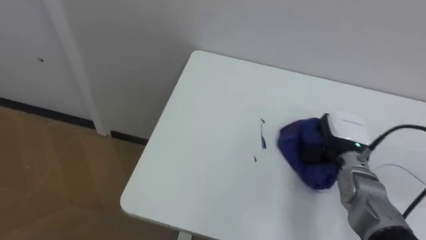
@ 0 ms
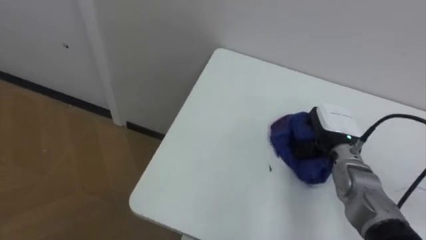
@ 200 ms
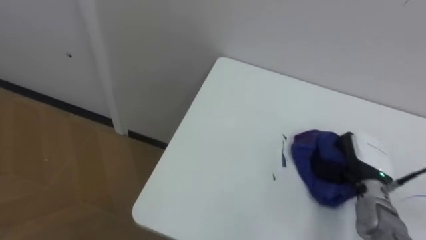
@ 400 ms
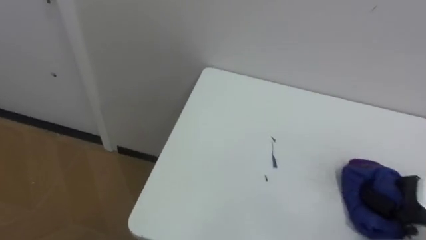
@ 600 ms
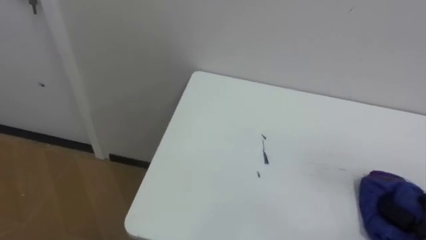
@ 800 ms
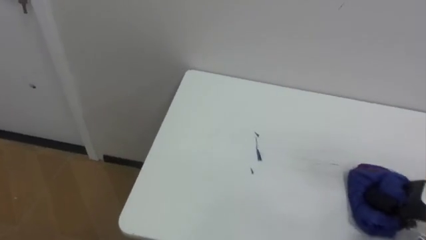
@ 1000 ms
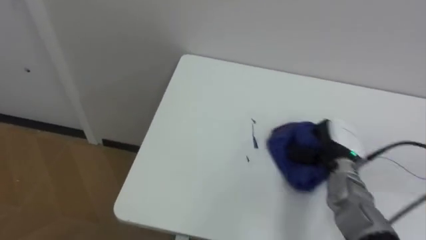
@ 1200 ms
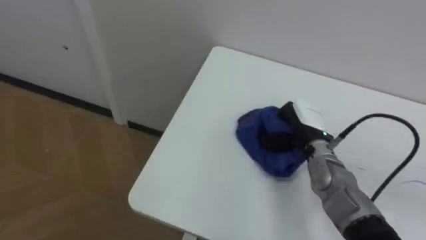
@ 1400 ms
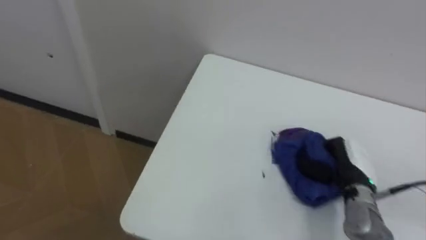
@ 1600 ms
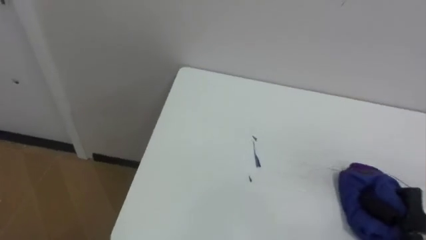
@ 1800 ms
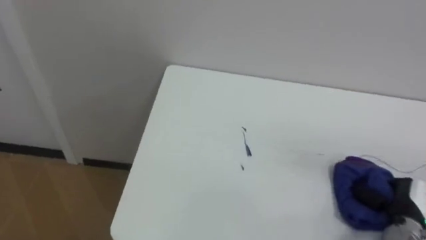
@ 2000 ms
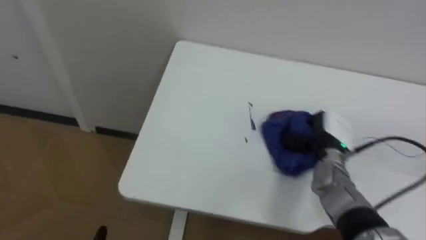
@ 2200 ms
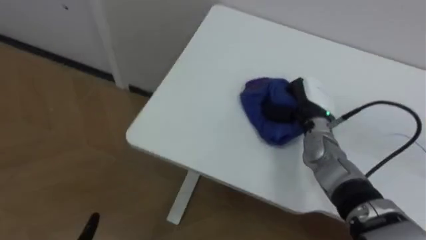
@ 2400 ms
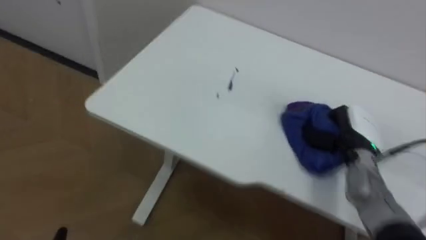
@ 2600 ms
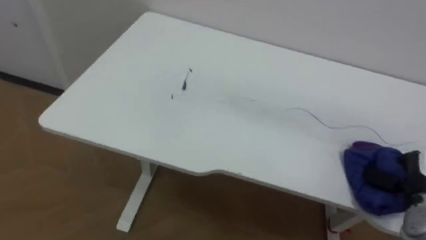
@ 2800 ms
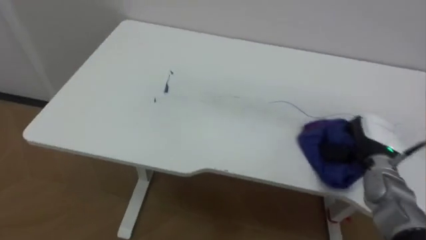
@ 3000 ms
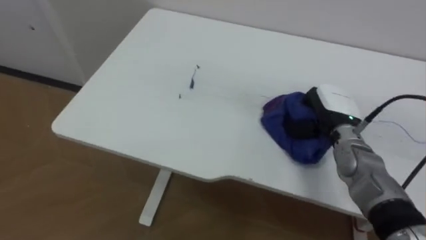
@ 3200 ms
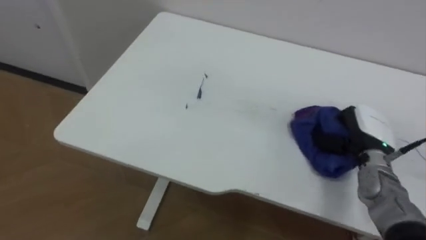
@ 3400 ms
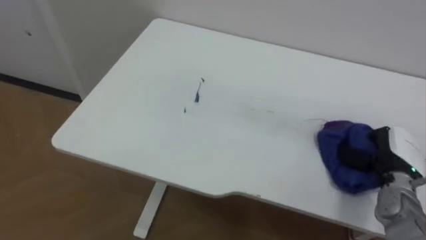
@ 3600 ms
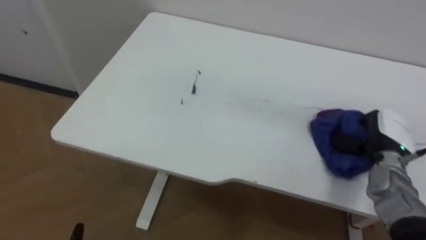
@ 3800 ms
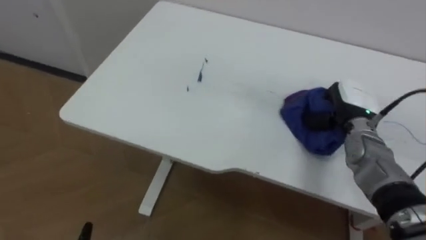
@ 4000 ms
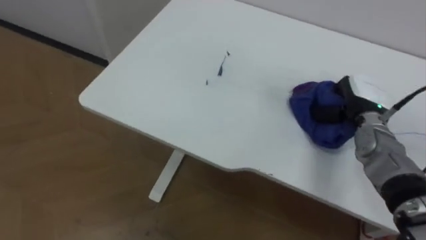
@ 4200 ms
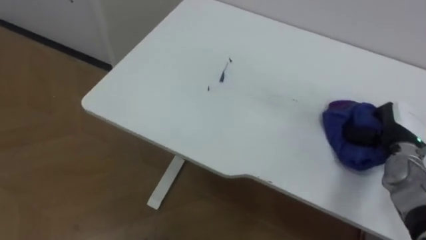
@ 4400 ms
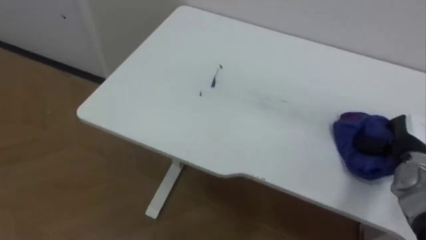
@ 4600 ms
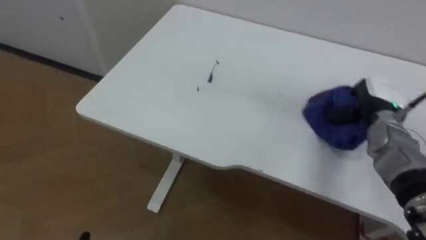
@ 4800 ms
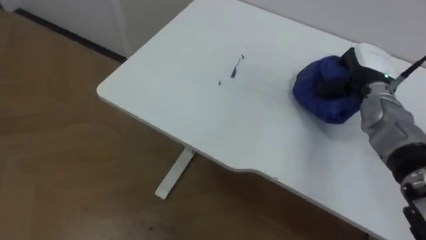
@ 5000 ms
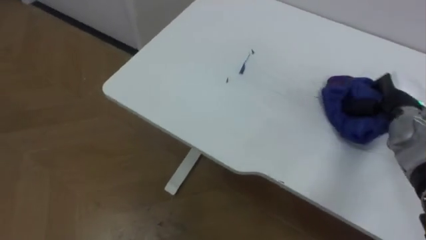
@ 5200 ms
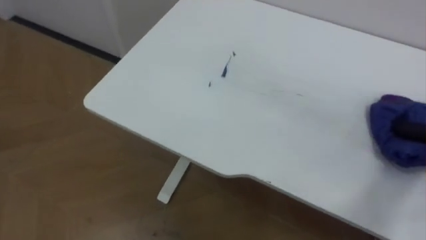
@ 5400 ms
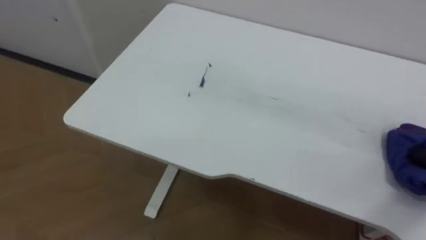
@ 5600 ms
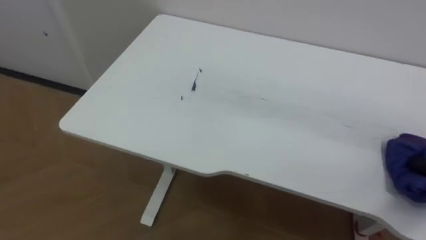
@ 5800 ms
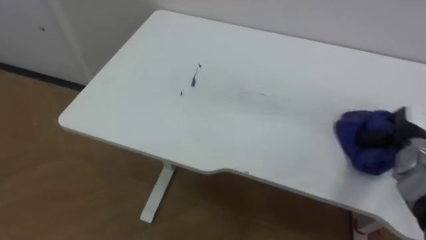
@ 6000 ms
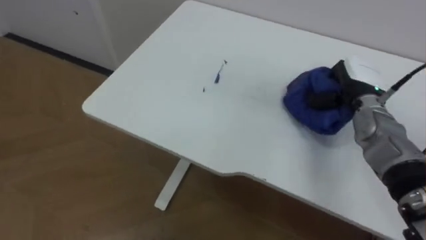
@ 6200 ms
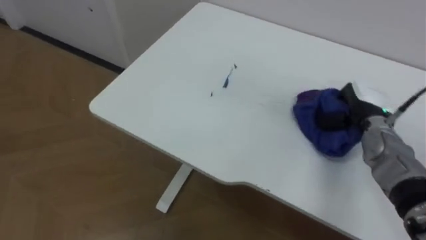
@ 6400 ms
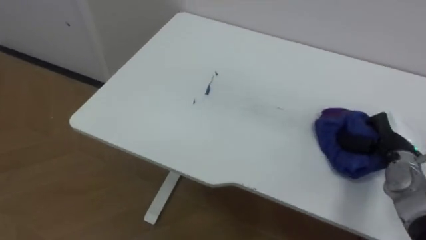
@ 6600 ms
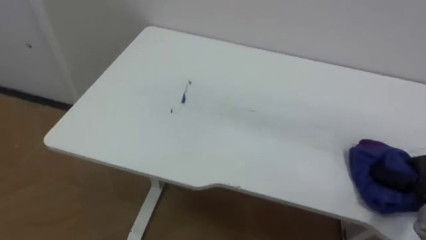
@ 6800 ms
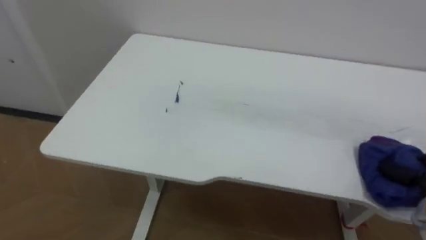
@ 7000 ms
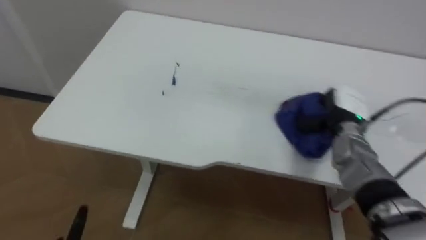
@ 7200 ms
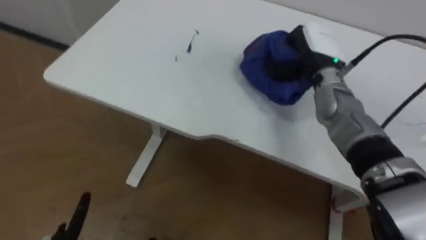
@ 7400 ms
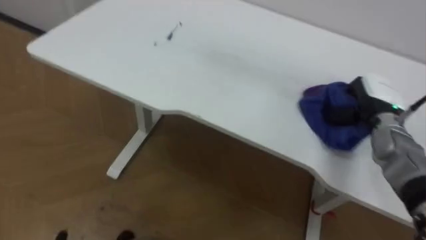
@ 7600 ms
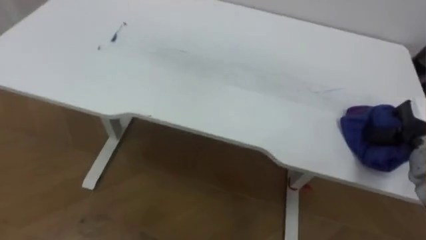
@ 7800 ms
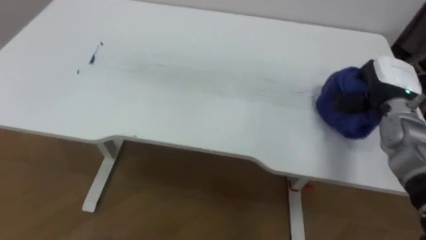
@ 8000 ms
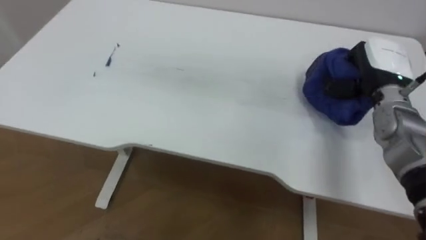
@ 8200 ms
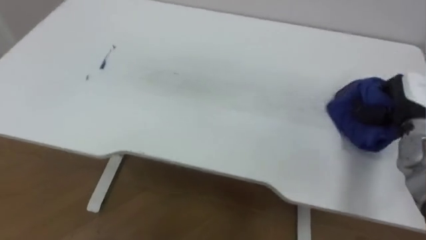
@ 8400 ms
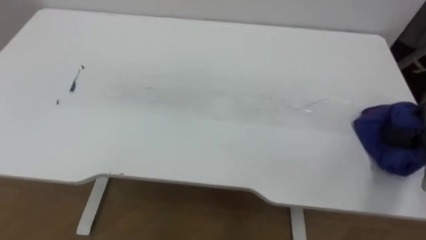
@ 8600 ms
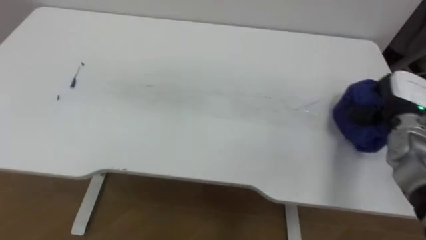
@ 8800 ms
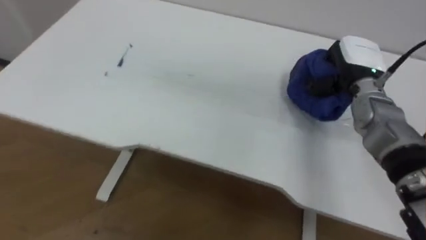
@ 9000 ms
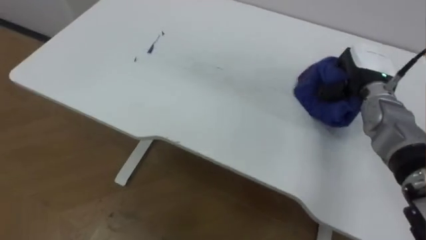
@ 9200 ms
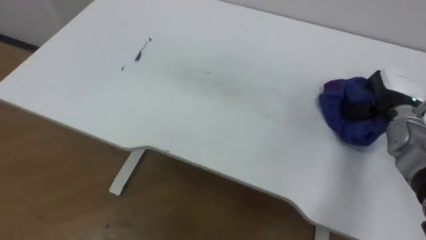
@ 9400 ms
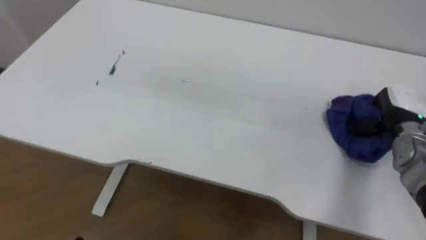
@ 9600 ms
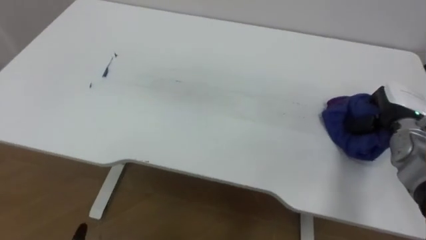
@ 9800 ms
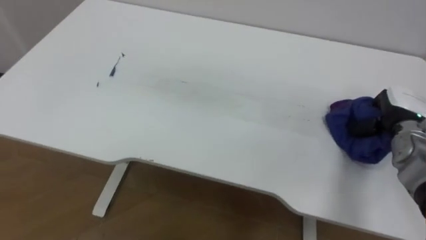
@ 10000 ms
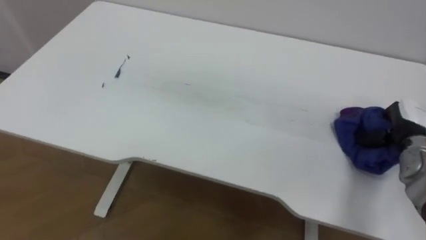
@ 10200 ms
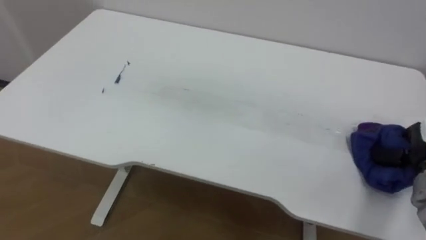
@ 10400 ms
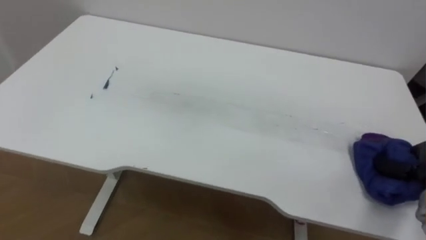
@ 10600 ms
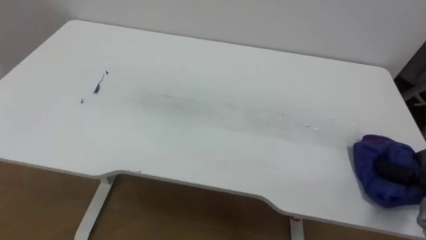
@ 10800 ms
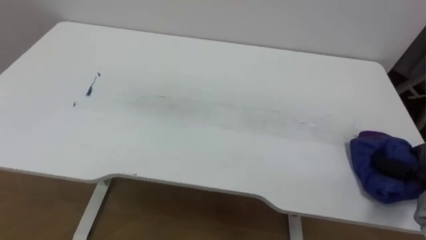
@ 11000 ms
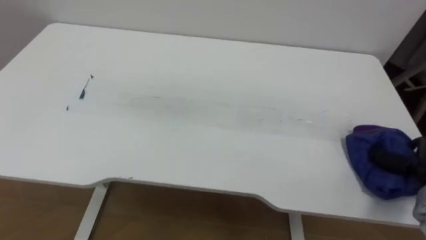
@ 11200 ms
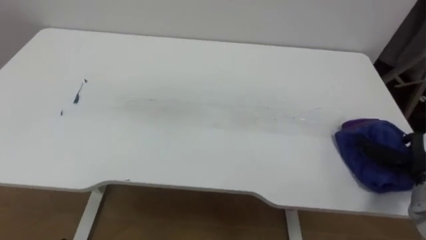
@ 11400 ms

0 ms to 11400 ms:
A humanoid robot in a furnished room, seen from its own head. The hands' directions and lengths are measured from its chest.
Task of the whole recording: Wipe the blue pen marks off the table with the rag.
1400 ms to 2800 ms: The right hand swings left and right, roughly 20 cm each way, with 2 reversals.
2800 ms to 4200 ms: The right hand goes left and right, roughly 15 cm each way, reversing 2 times.

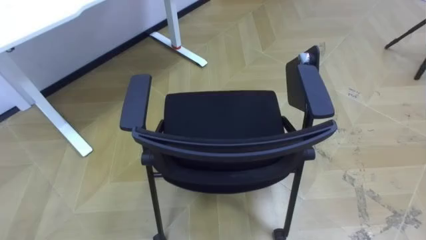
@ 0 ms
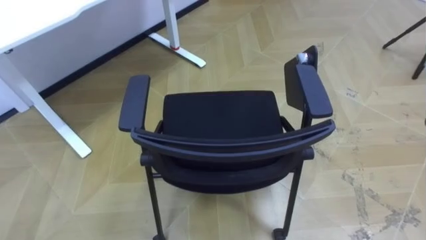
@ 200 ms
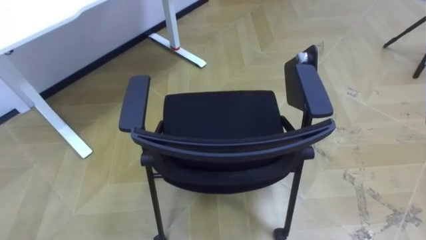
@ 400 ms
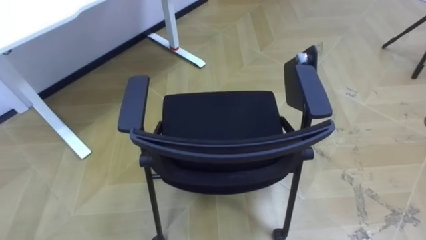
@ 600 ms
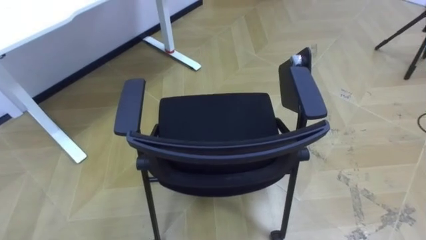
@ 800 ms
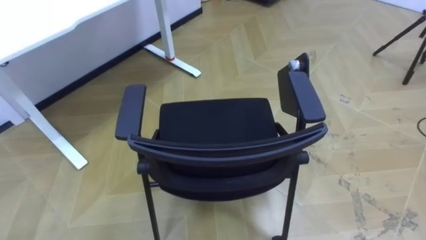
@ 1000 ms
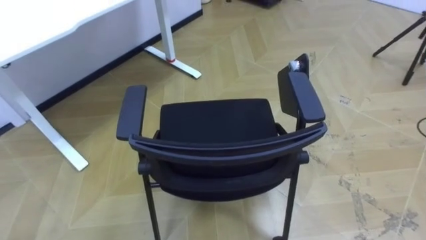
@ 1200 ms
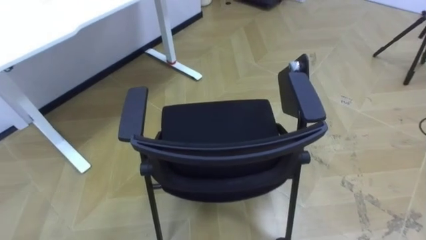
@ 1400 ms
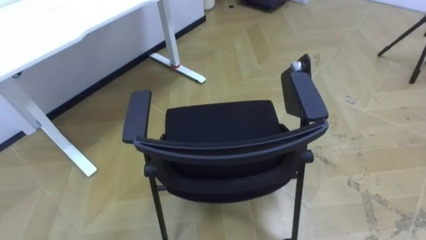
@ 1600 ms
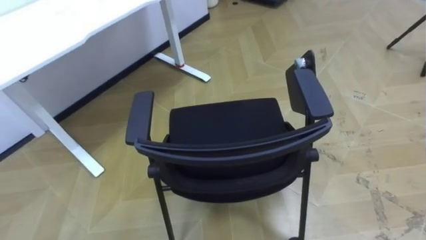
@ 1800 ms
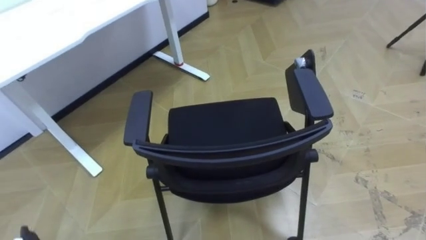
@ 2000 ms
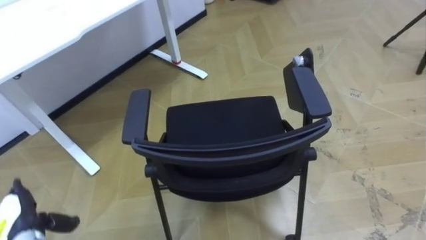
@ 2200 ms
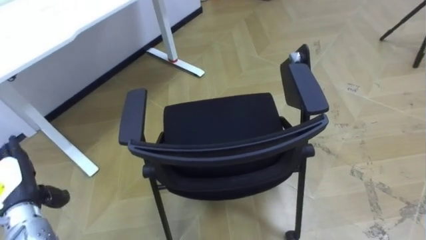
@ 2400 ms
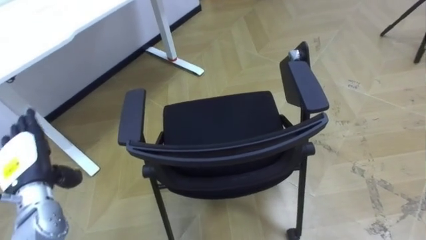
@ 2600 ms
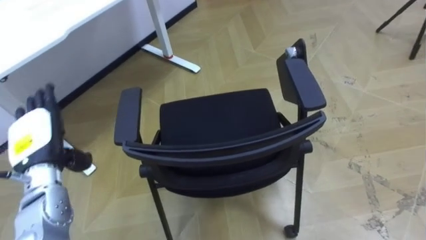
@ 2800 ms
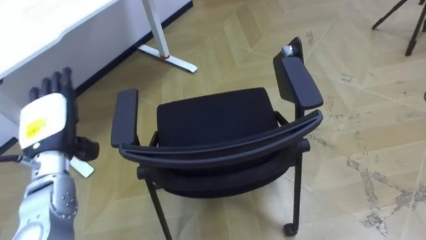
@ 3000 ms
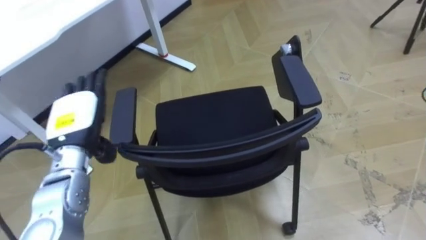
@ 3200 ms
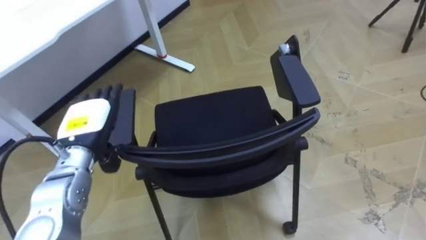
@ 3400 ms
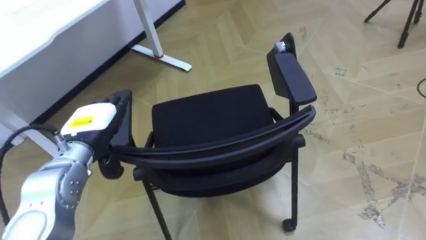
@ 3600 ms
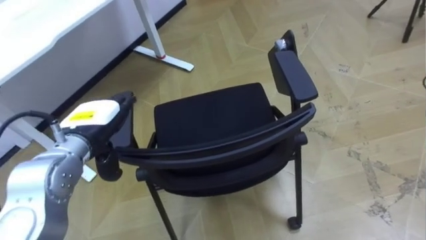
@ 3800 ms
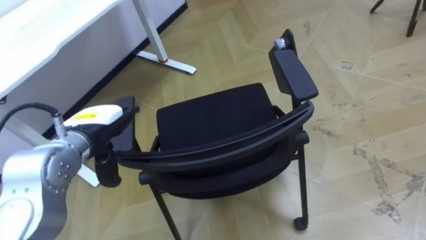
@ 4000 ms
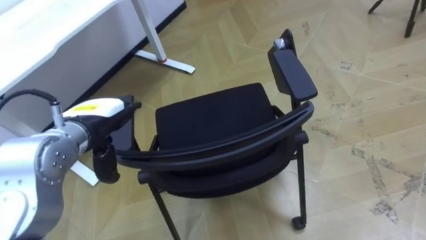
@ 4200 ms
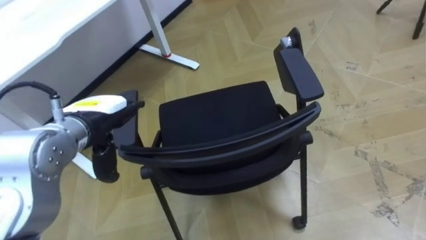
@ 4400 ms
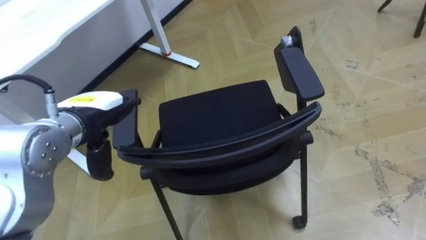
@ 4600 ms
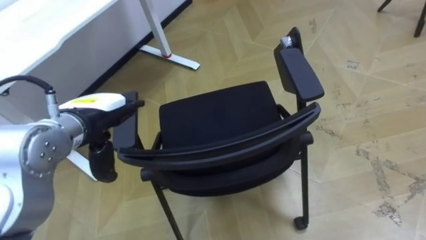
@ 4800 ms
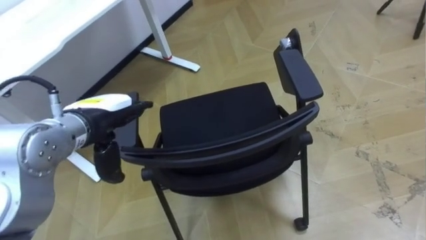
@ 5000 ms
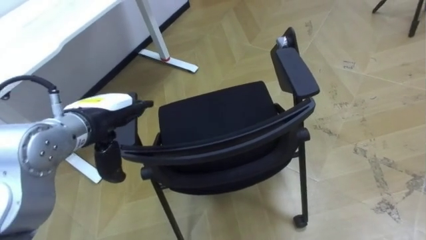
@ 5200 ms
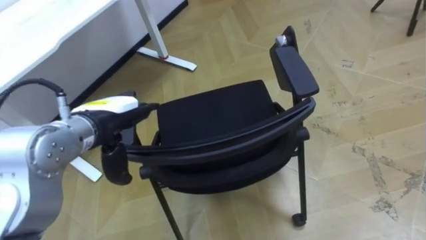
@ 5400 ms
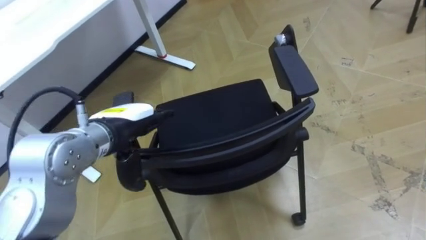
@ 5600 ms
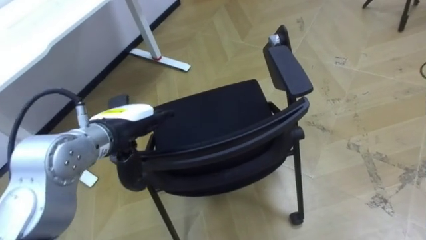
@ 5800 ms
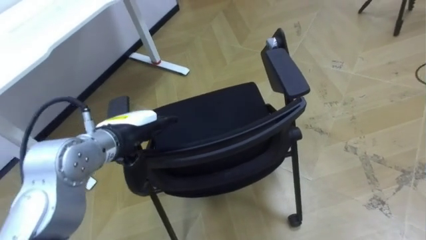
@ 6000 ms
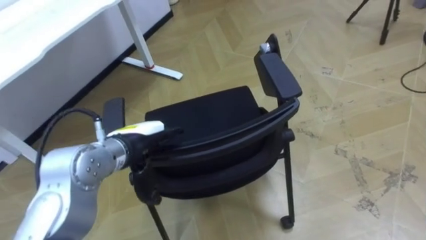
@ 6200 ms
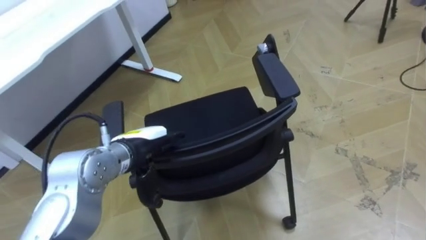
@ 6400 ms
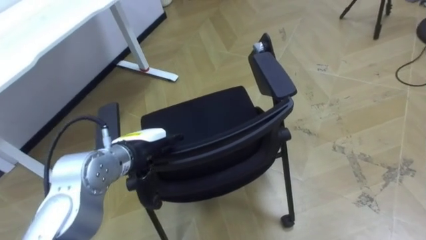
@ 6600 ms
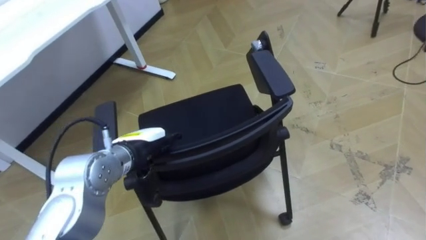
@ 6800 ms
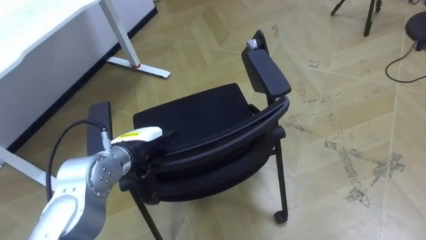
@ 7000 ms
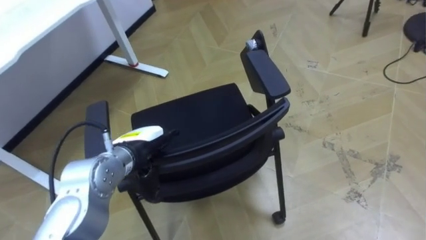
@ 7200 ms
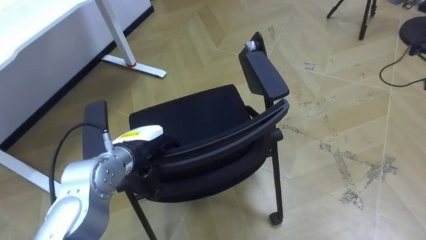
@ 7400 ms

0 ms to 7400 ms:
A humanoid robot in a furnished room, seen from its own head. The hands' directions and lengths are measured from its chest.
Task of the whole recording: Push the chair under the table.
3000 ms to 4400 ms: The left hand goes roughly 10 cm to the right.
4400 ms to 6000 ms: The left hand shifts by about 5 cm.
6000 ms to 7400 ms: The left hand heads downward, covering about 5 cm.
